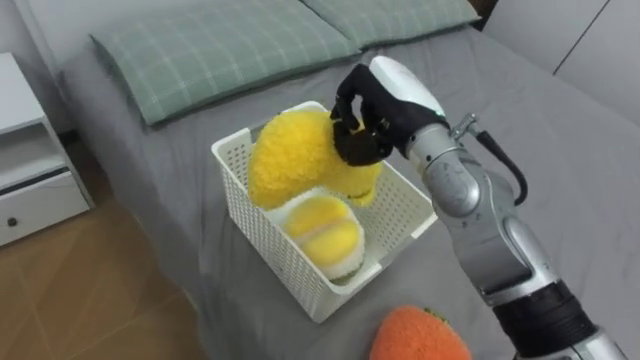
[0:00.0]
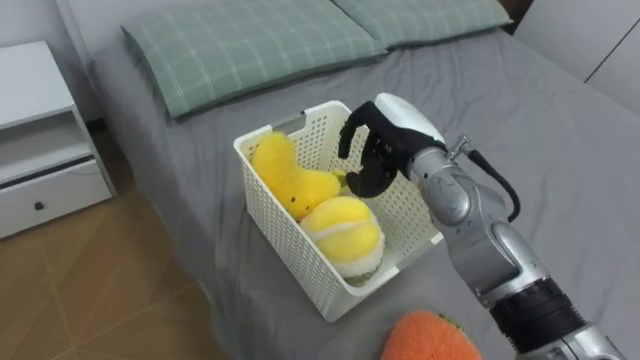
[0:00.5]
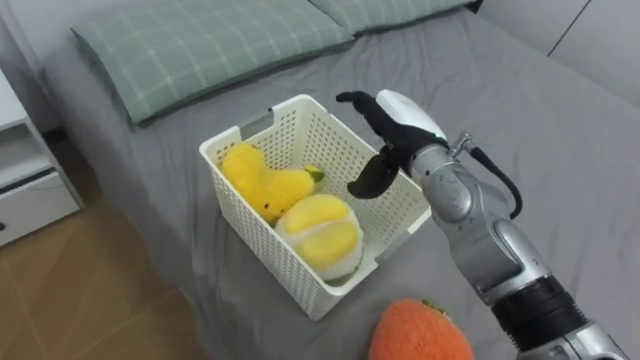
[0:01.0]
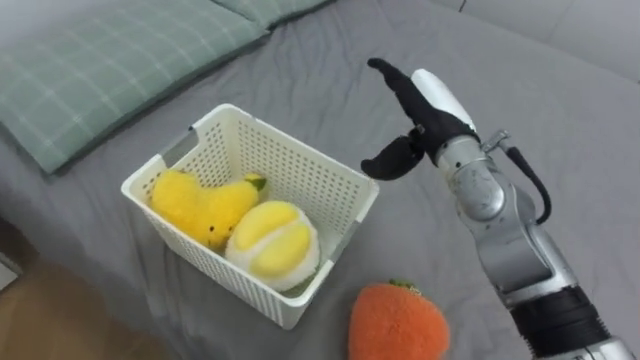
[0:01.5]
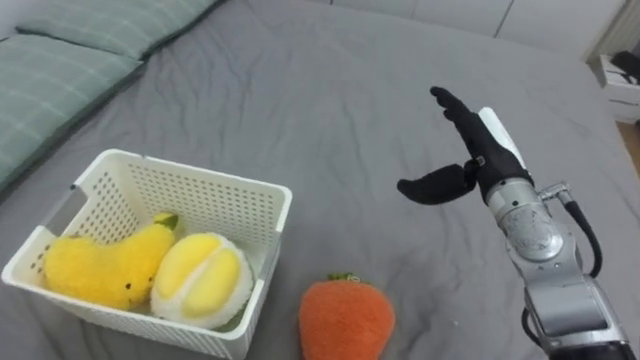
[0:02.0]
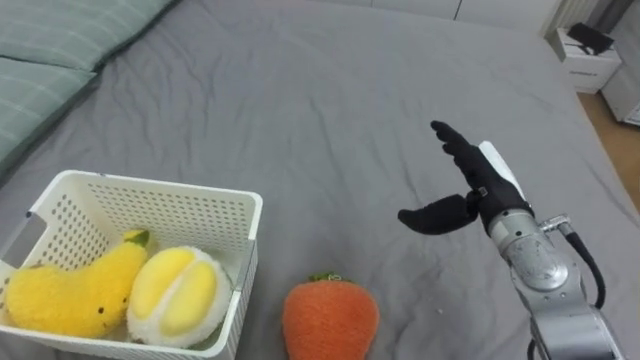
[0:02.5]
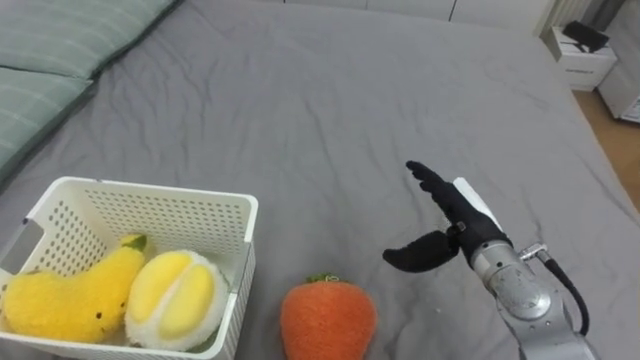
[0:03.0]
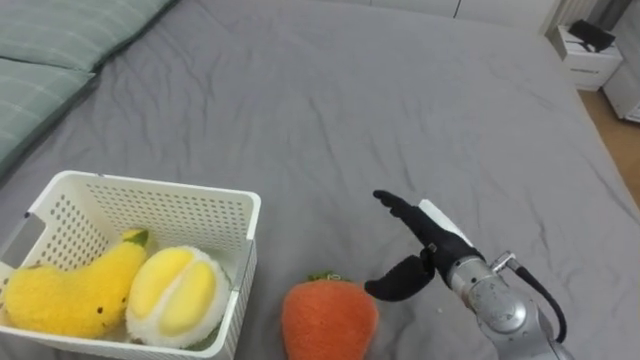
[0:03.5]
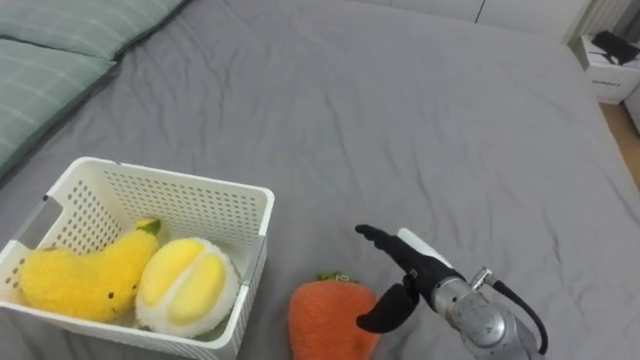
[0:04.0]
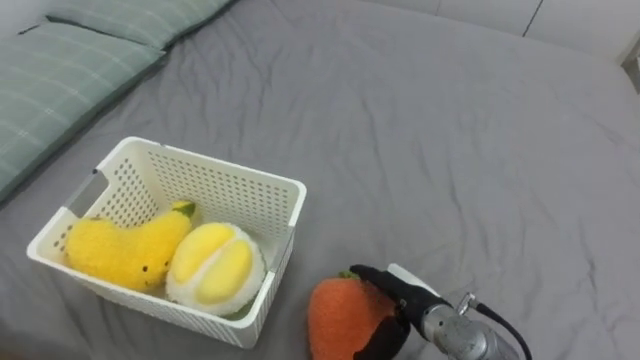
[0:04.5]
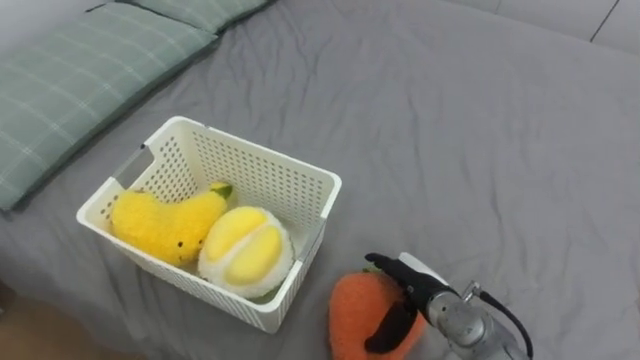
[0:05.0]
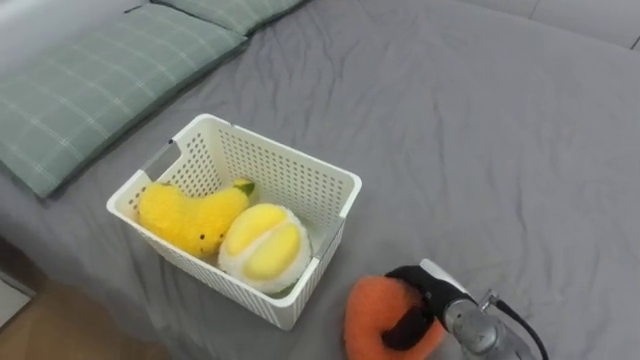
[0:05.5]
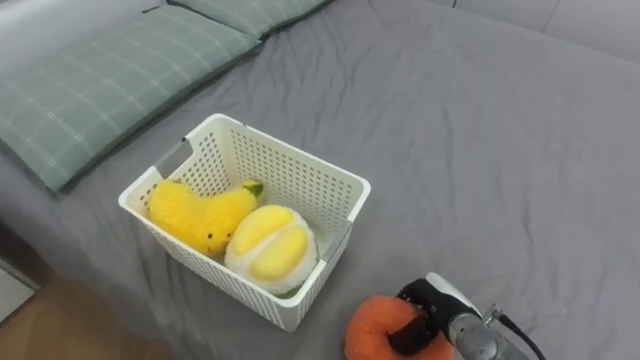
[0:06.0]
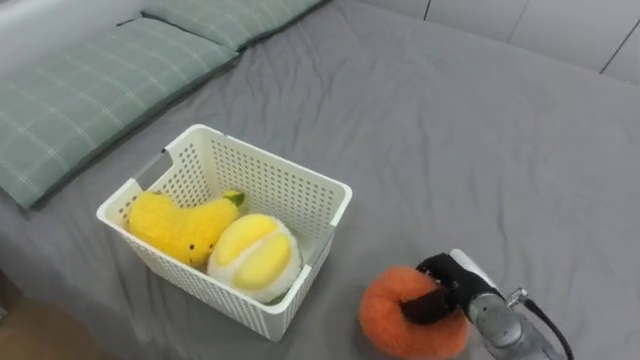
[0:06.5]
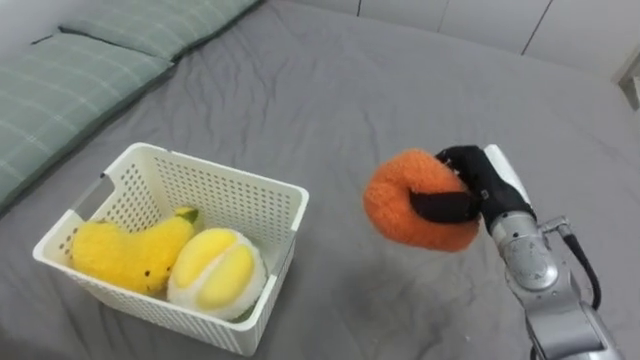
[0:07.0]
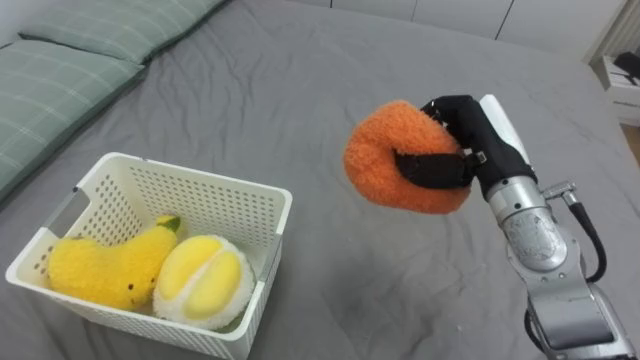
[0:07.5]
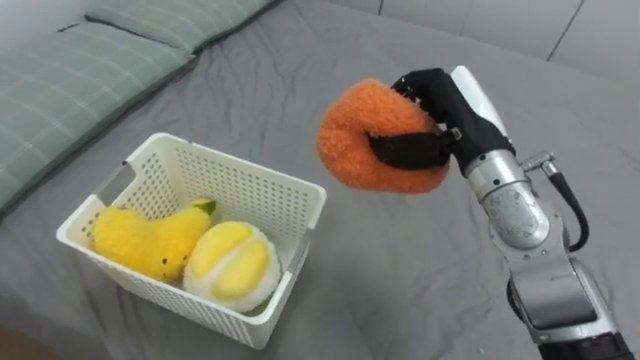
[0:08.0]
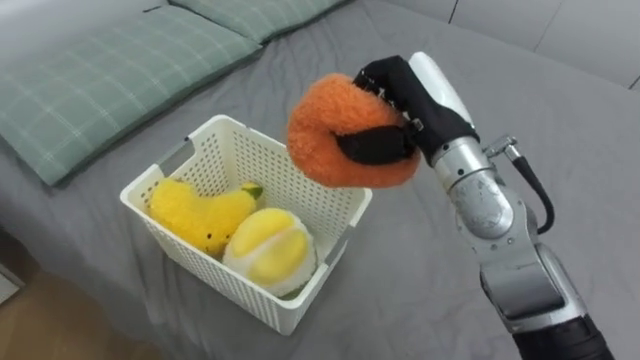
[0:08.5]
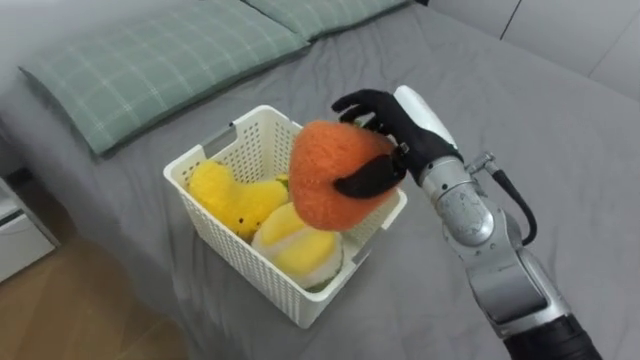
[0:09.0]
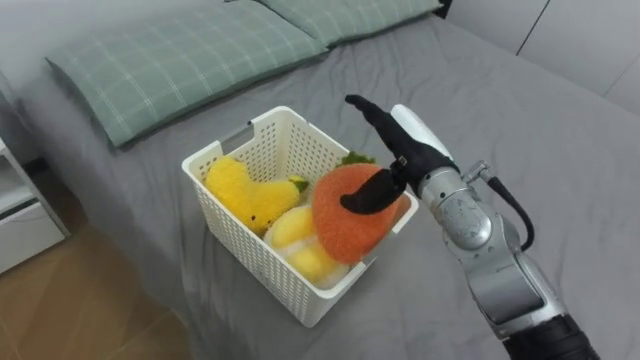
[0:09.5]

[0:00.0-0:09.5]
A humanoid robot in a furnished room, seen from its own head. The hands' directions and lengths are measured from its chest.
Task of the whole recording: Put the toys on the bed into the basket on the left.
0:00.0 to 0:02.0: The right hand heads to the right and downward, covering some 15 cm, and opens up.
0:02.0 to 0:04.0: The right hand moves downward, backward and to the left, approximately 15 cm.
0:04.0 to 0:05.5: The right hand shifts approximately 5 cm downward.
0:05.5 to 0:07.5: The right hand shifts some 25 cm upward and forward, and closes.
0:07.5 to 0:09.5: The right hand travels to the left by about 10 cm, and opens its fingers.

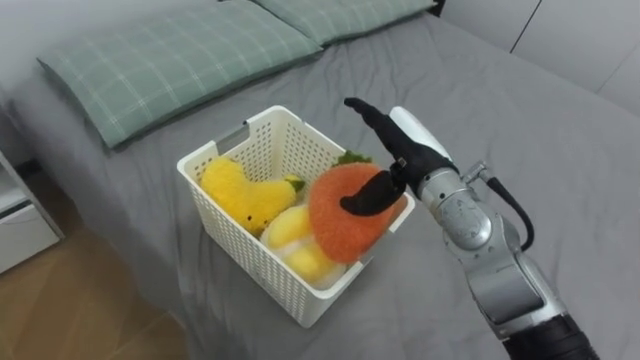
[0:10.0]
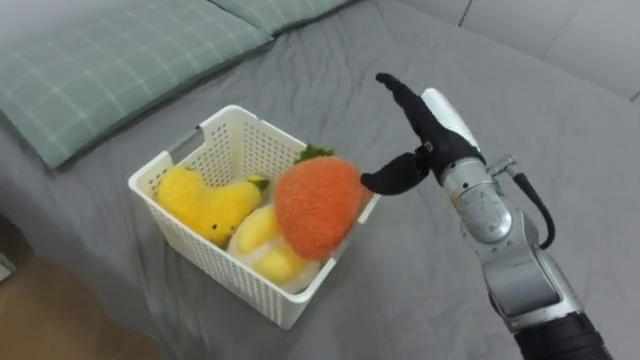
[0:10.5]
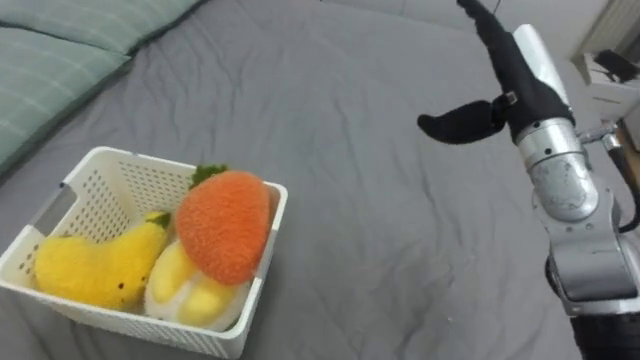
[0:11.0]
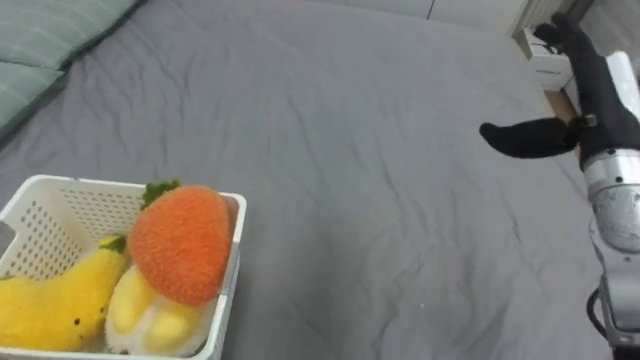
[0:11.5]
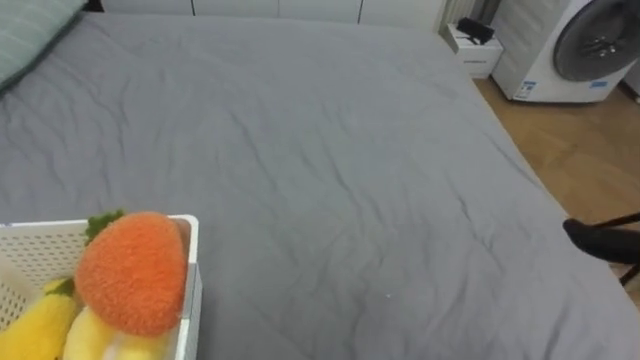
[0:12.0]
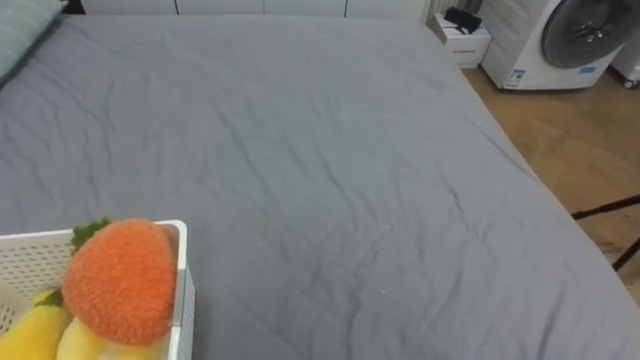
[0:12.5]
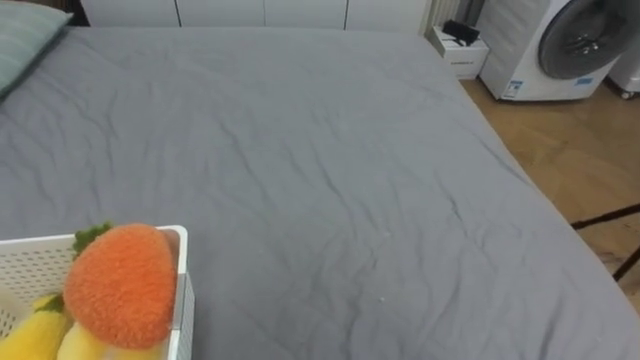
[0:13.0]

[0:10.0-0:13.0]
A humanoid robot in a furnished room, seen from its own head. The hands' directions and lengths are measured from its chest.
Task of the whole recording: Put the toys on the bed into the basket on the left.
0:10.0 to 0:11.5: The right hand is displaced to the right by some 20 cm.

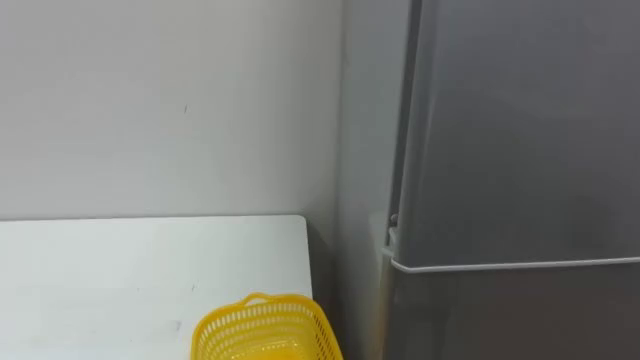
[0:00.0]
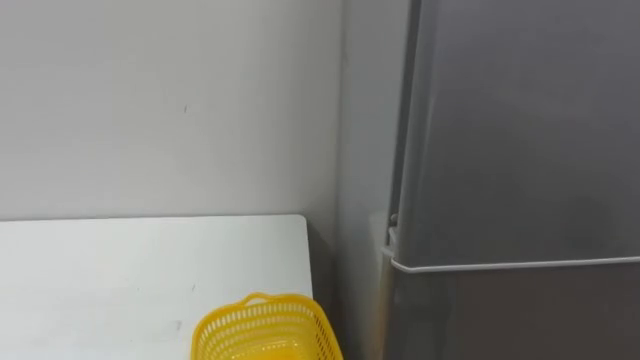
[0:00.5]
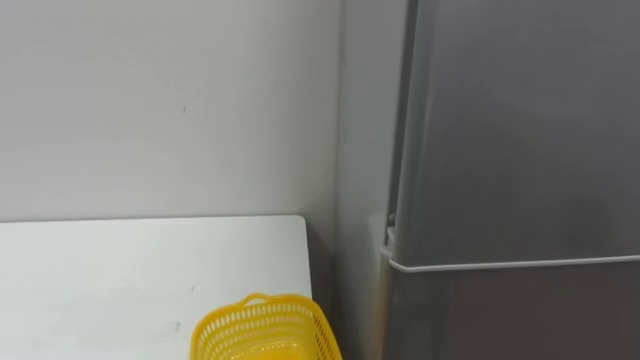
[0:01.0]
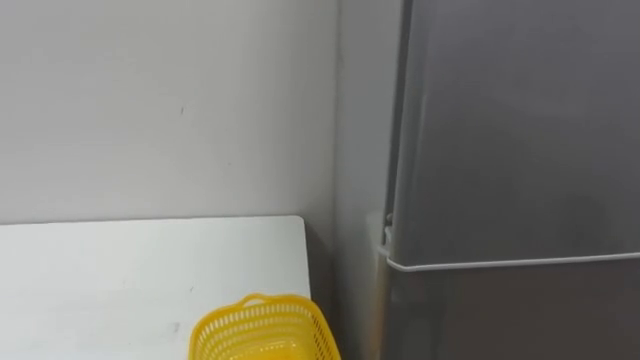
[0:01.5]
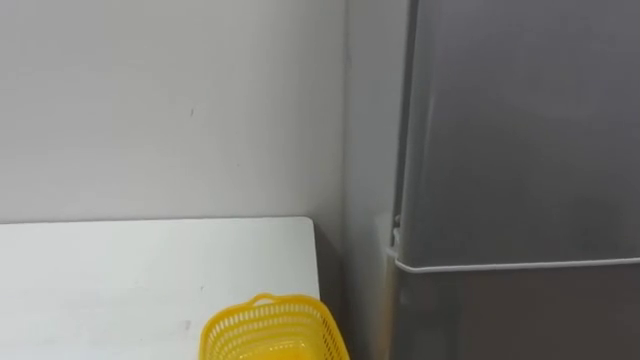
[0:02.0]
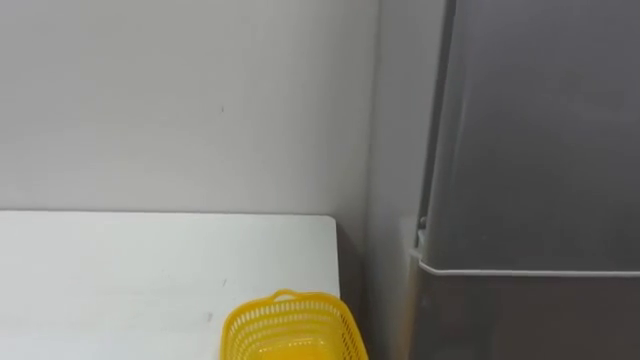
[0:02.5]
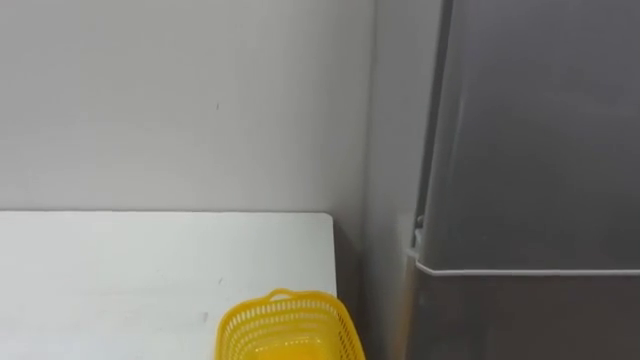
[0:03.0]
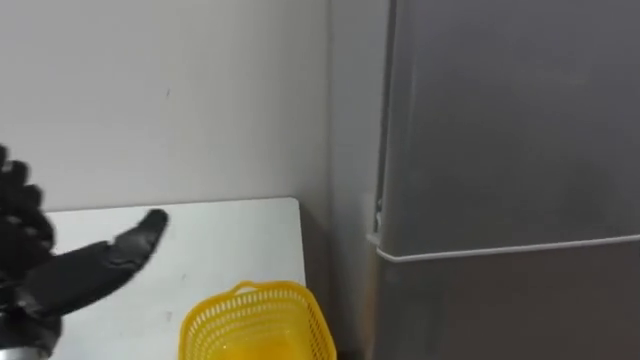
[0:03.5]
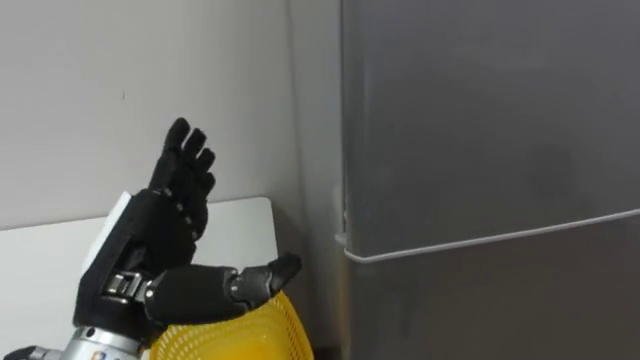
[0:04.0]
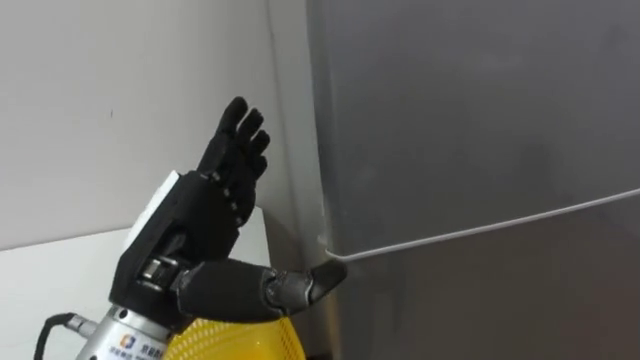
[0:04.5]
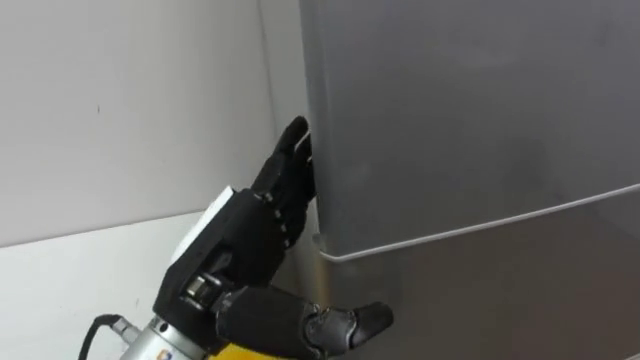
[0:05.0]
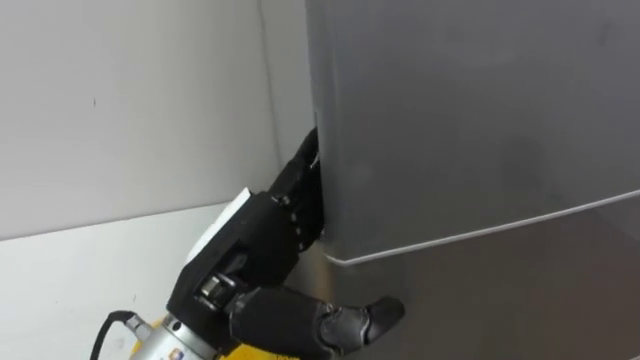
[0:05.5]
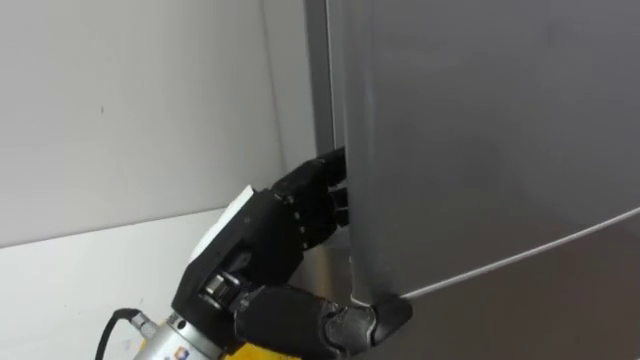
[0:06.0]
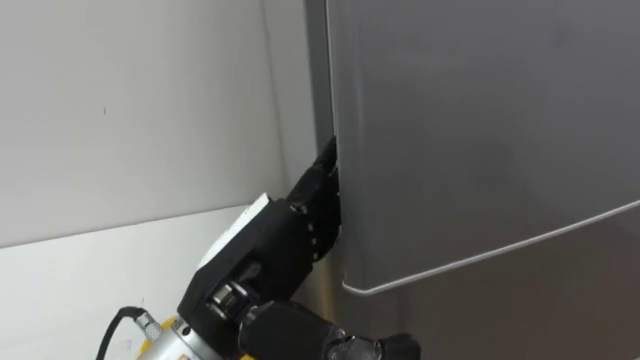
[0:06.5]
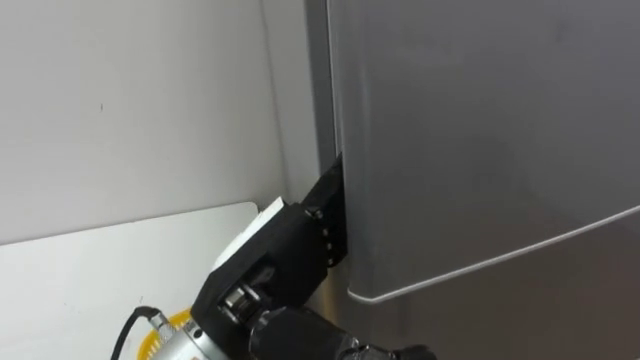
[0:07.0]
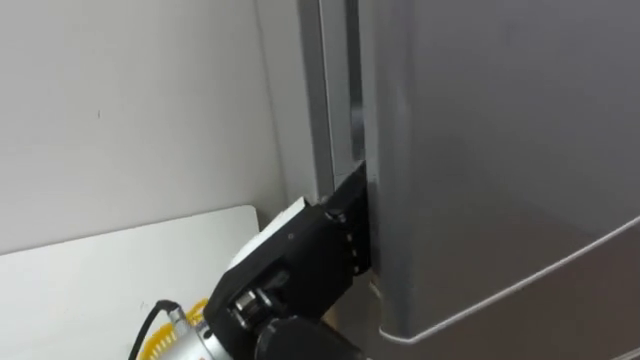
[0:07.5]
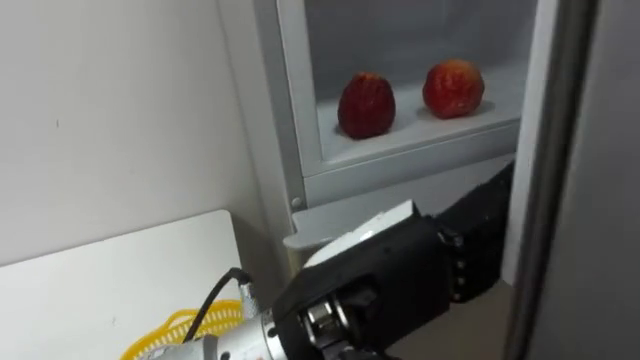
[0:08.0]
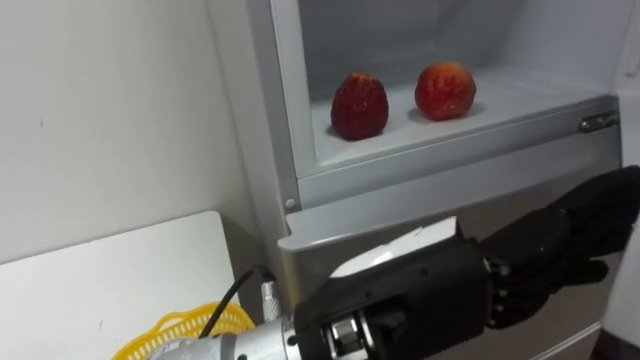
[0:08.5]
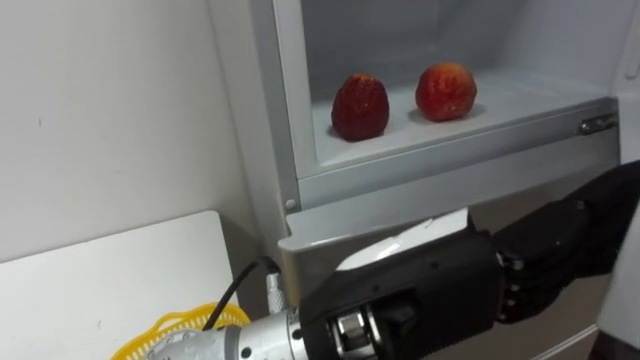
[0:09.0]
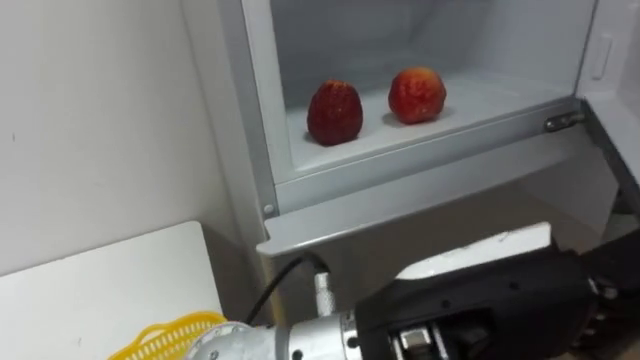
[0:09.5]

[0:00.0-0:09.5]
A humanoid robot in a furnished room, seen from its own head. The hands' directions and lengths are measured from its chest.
Task of the whole recording: Open the refrigerator door, take out the apple and the pomegranate, place them in the fruit basket on the left, and close the refrigerator door.
0:04.0 to 0:05.5: The left hand is displaced to the right by approximately 10 cm.
0:07.5 to 0:09.5: The left hand moves to the right and backward, some 10 cm.
